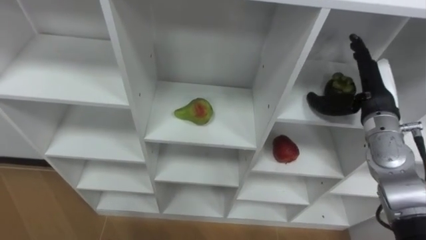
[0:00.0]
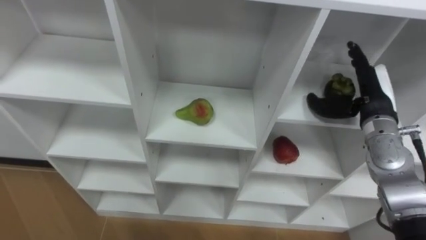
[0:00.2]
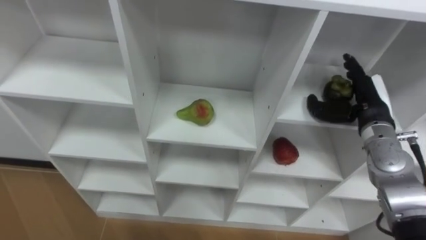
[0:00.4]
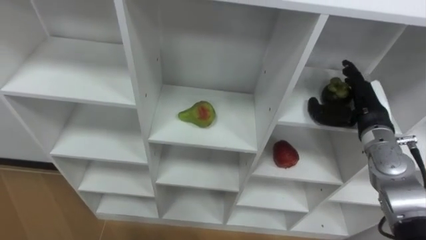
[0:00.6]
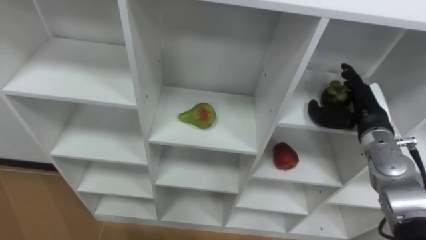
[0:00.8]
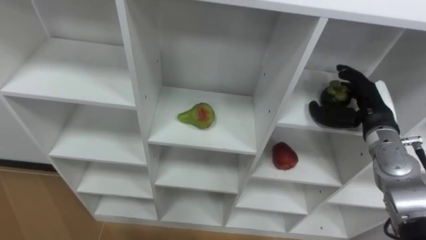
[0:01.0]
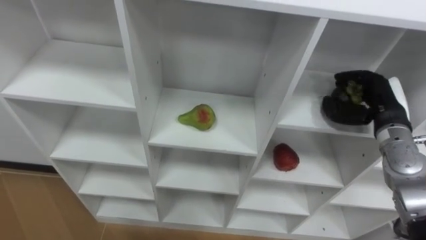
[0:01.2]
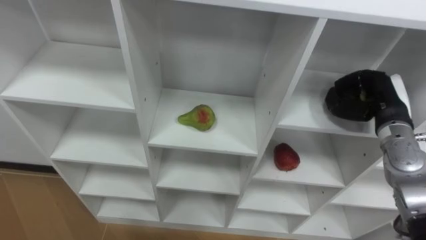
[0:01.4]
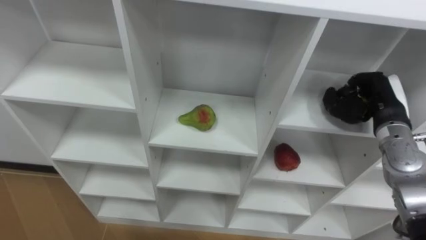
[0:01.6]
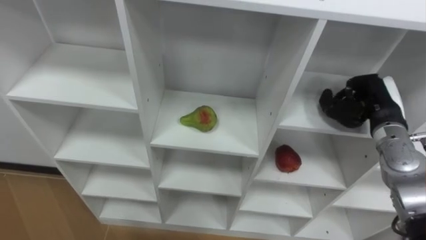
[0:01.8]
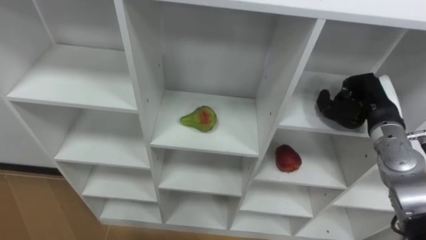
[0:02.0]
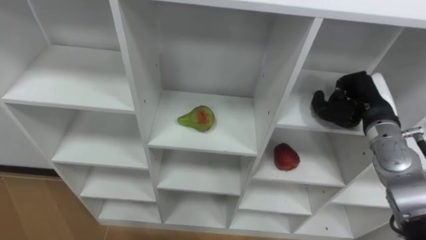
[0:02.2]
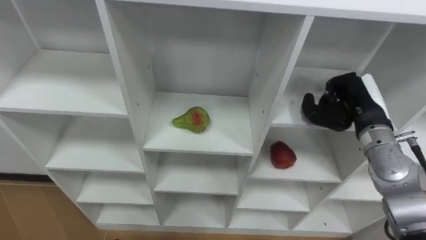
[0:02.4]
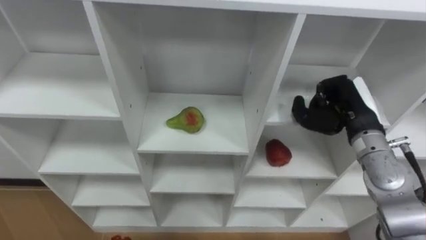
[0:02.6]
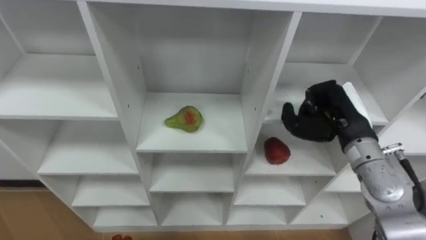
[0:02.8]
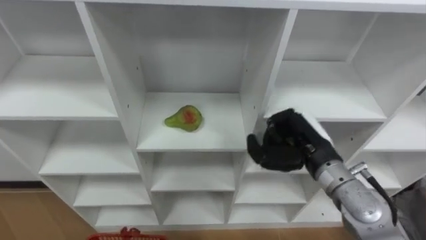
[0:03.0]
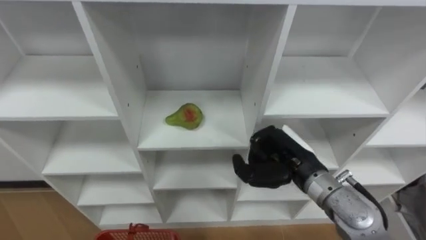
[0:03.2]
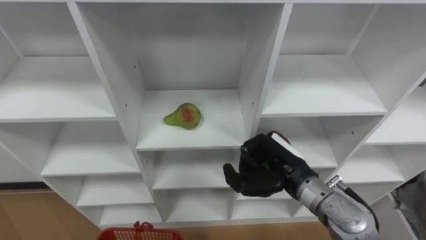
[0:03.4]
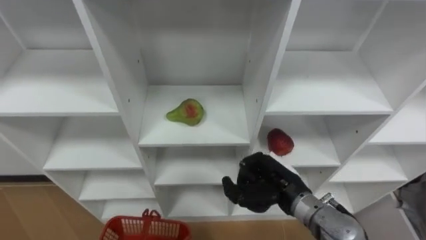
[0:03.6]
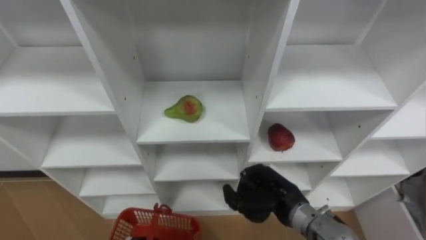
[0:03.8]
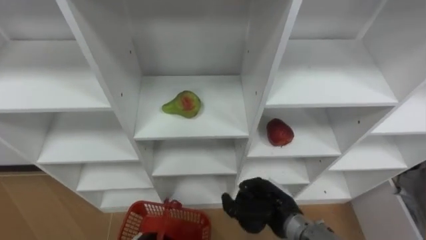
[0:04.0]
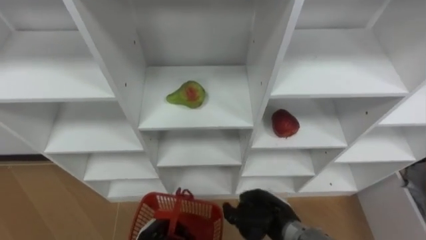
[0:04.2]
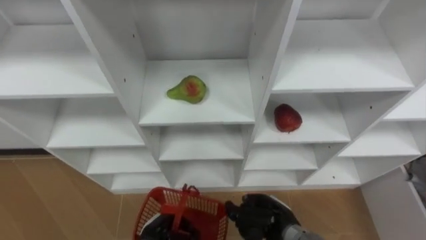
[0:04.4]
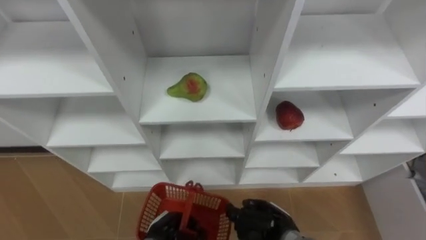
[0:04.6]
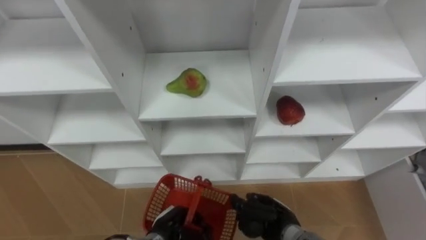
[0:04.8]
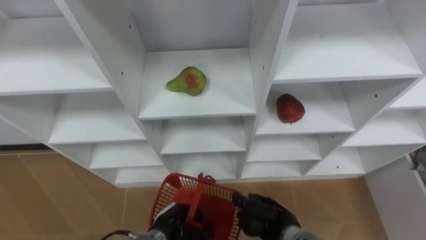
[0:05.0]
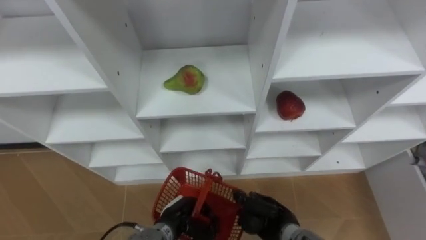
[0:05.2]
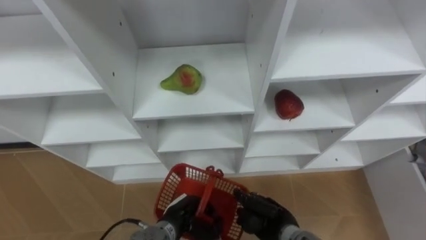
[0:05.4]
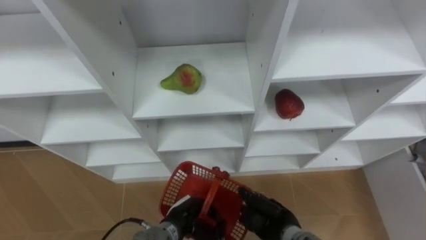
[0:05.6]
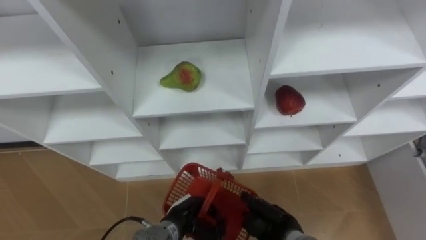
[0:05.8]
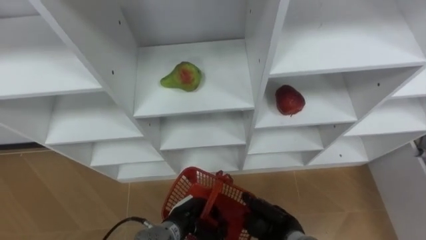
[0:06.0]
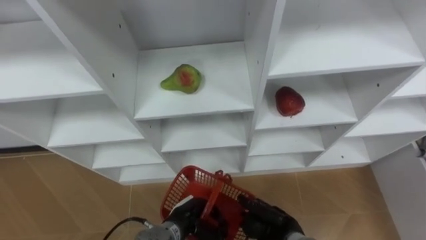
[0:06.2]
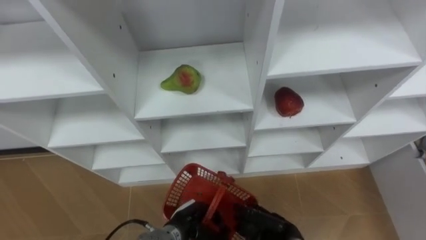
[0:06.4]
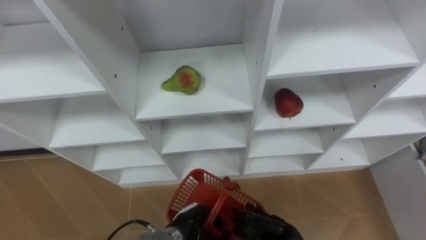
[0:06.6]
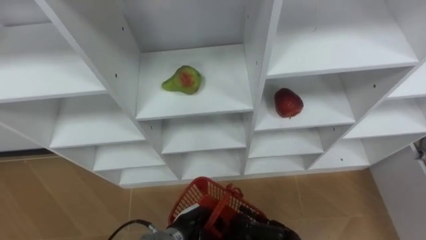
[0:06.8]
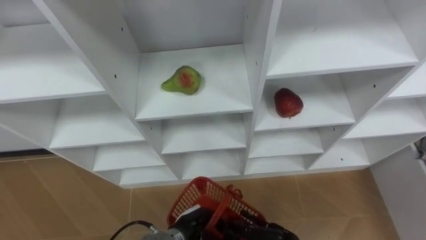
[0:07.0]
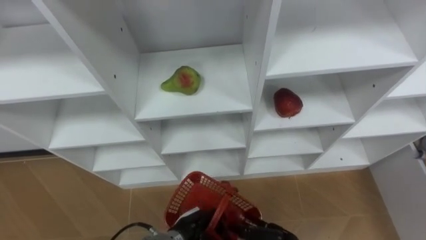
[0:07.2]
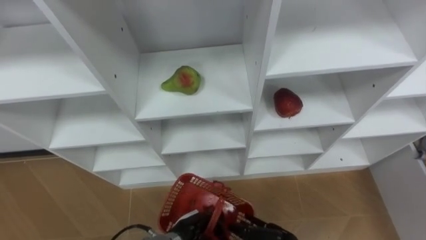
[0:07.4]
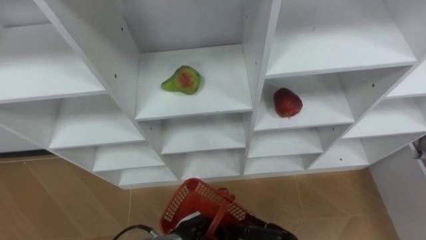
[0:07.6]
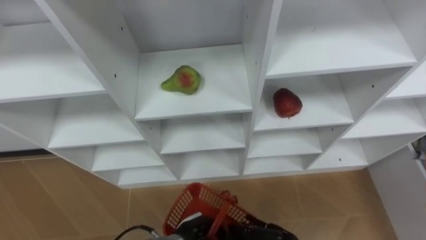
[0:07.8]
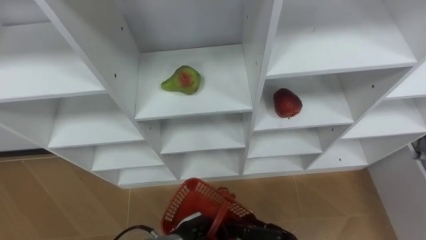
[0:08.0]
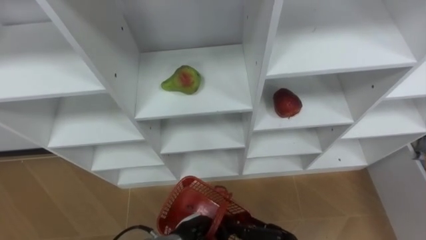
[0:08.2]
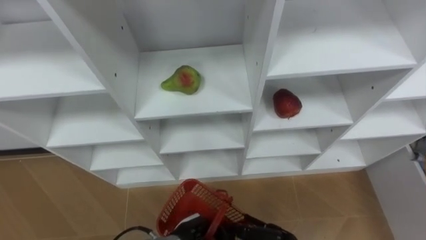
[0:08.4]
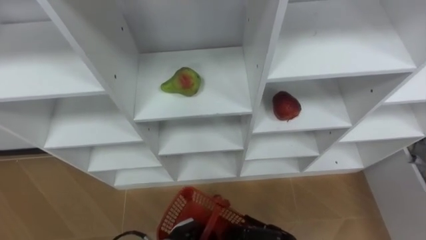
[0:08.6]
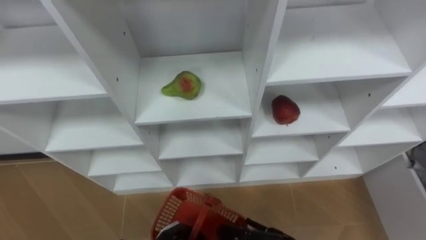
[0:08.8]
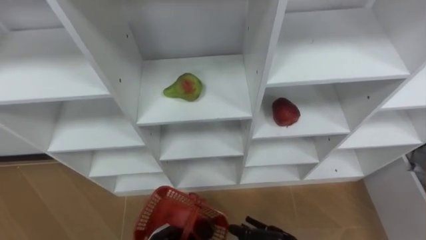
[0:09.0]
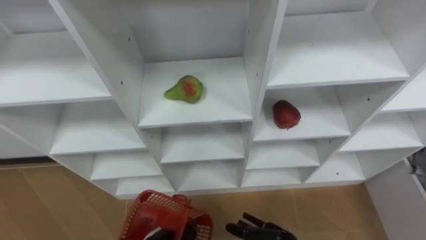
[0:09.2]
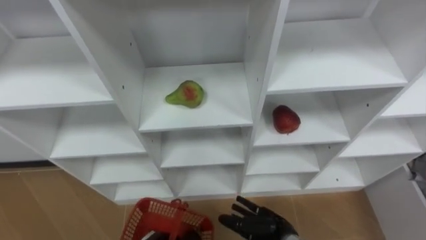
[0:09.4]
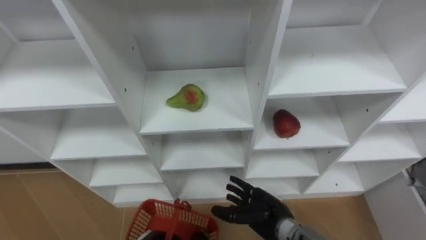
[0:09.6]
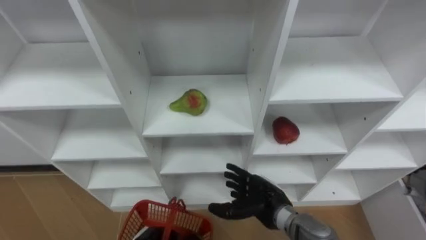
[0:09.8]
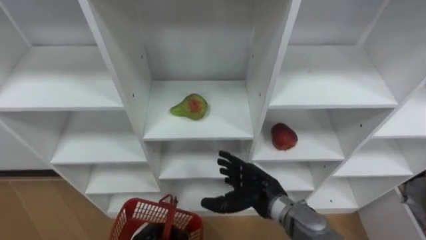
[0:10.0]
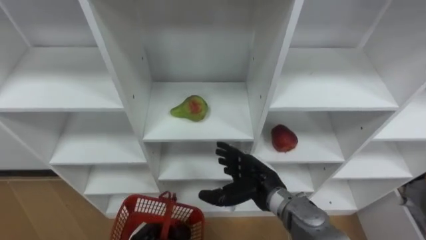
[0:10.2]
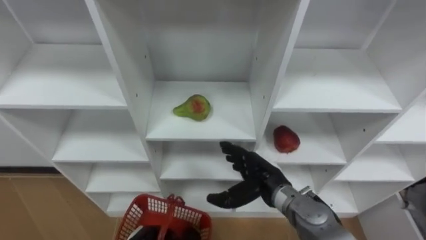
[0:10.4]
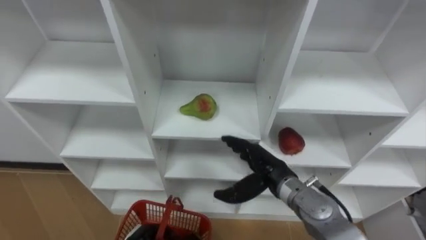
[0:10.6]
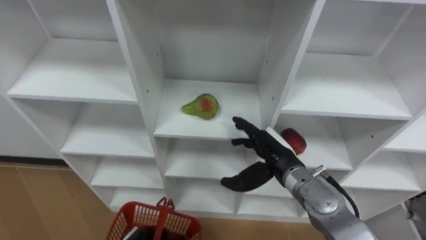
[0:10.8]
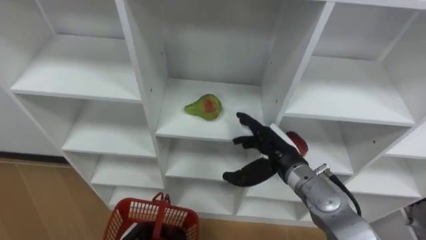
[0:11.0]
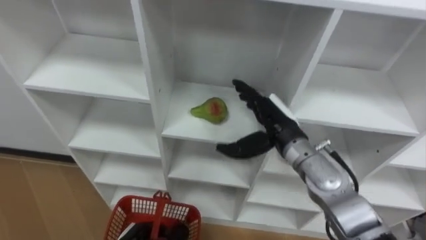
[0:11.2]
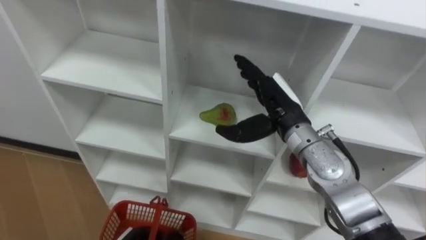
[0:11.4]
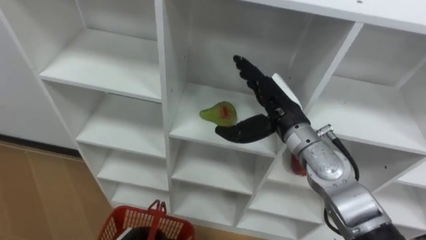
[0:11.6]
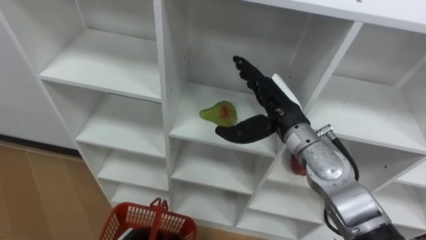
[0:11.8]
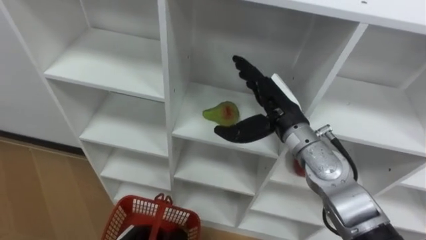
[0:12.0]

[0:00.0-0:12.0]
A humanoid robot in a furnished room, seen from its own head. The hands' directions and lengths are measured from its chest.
Task of the whole recording: Hold the basket and collect the fruits from 3 different cells of the closet into it.
0:00.0 to 0:01.6: The right hand closes up.
0:01.6 to 0:03.0: The right hand moves to the left and backward, approximately 15 cm.
0:03.0 to 0:04.4: The right hand travels downward and backward by roughly 20 cm.
0:04.4 to 0:06.0: The left hand goes roughly 5 cm to the right.
0:10.4 to 0:12.0: The right hand is displaced upward and forward by about 15 cm.

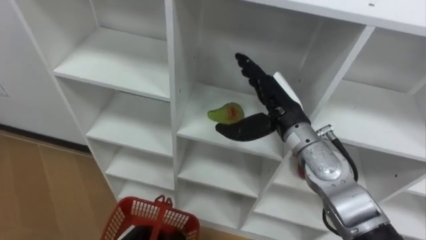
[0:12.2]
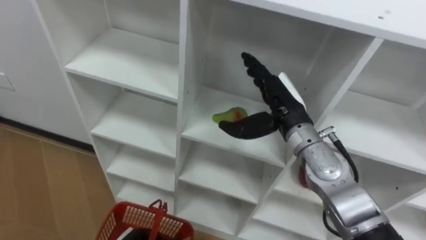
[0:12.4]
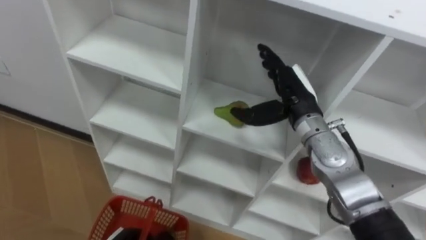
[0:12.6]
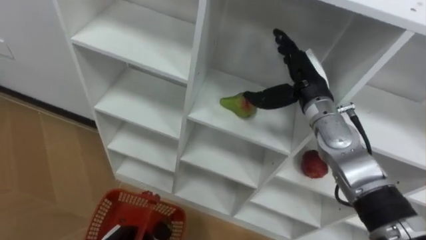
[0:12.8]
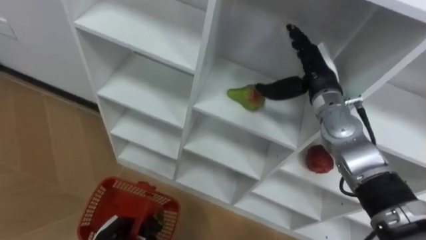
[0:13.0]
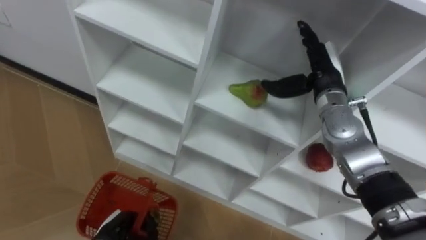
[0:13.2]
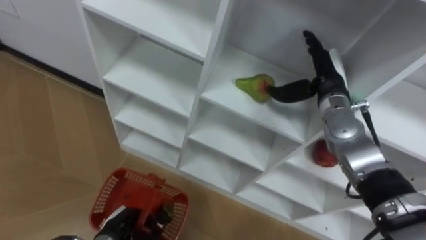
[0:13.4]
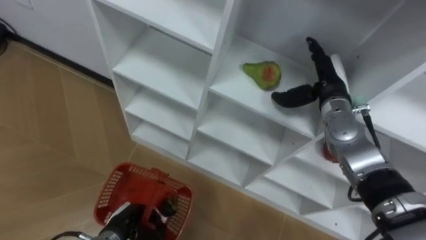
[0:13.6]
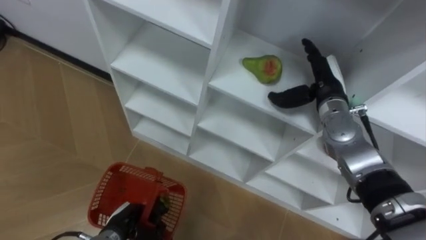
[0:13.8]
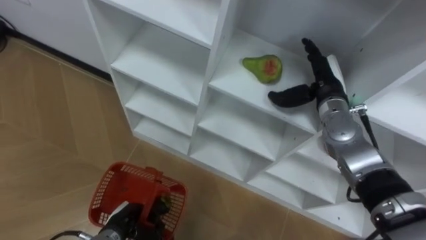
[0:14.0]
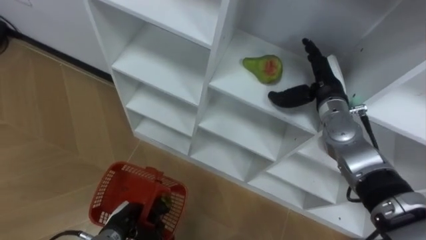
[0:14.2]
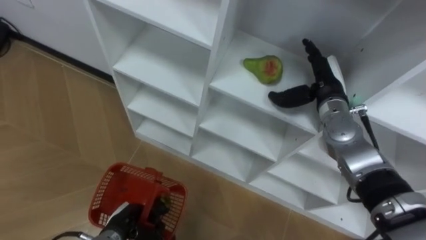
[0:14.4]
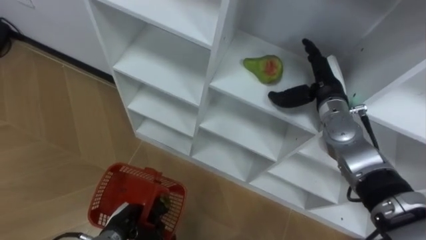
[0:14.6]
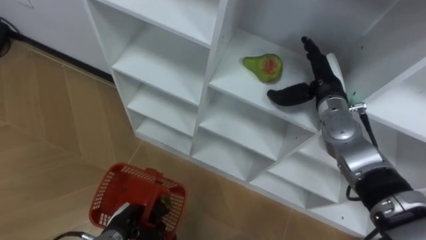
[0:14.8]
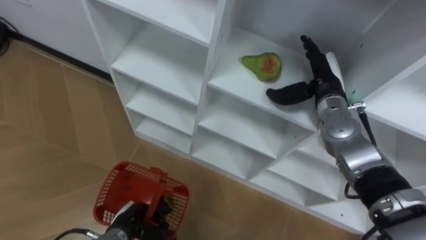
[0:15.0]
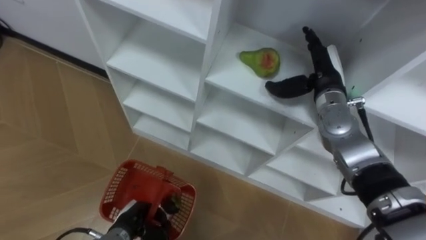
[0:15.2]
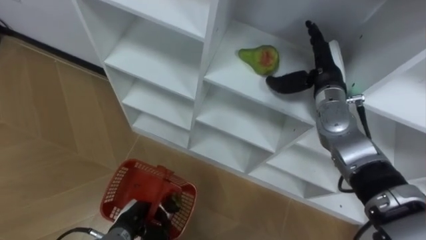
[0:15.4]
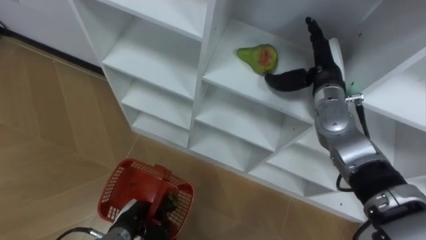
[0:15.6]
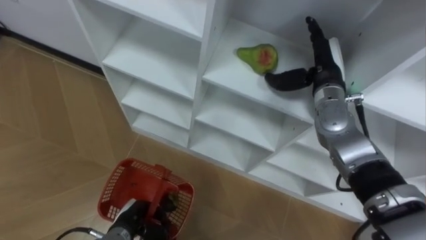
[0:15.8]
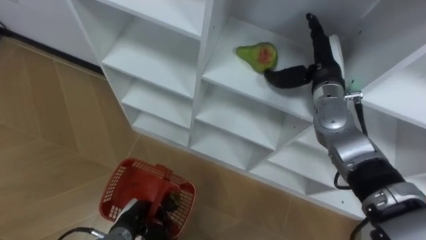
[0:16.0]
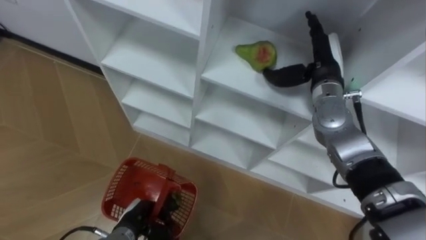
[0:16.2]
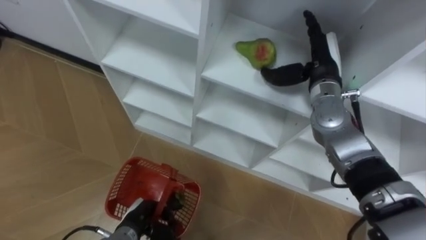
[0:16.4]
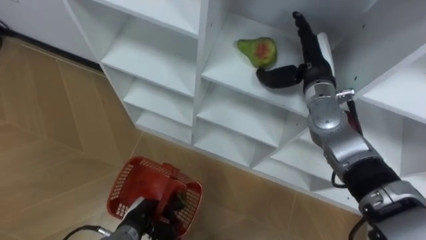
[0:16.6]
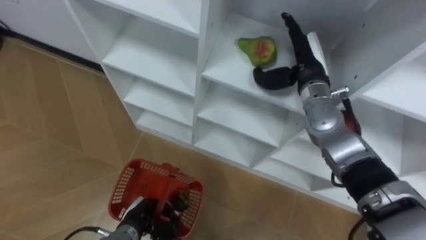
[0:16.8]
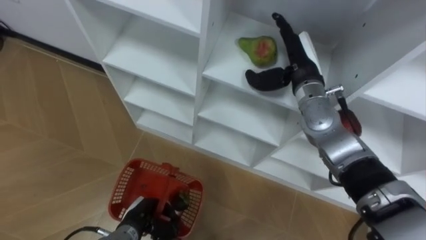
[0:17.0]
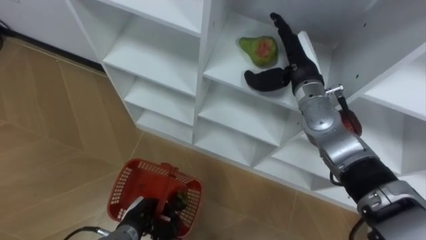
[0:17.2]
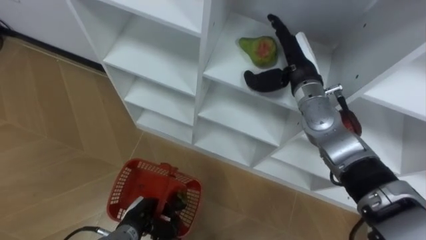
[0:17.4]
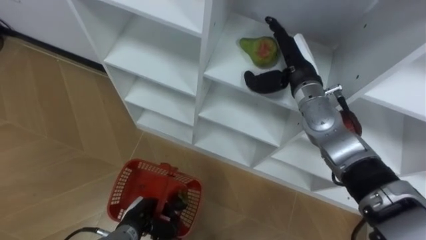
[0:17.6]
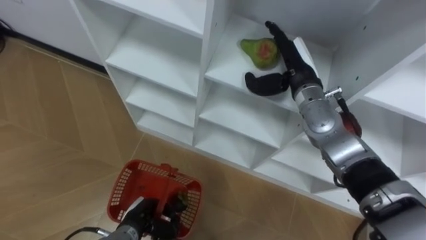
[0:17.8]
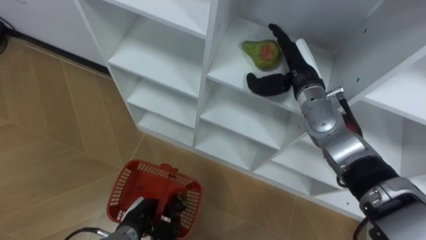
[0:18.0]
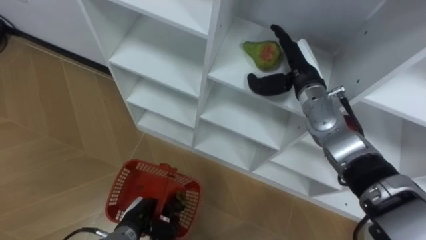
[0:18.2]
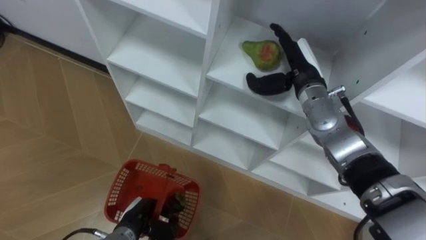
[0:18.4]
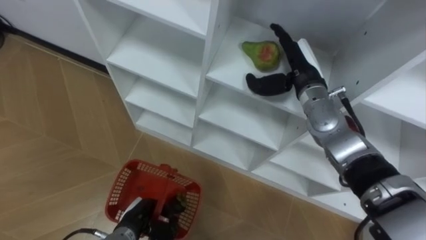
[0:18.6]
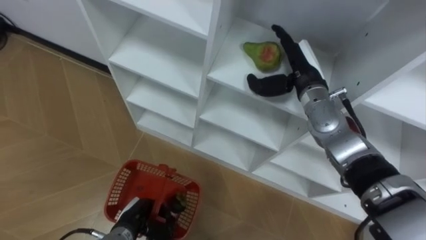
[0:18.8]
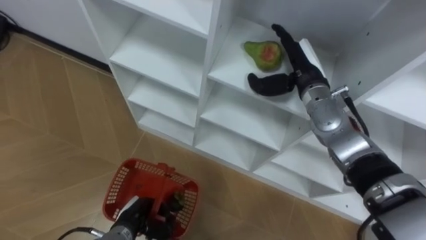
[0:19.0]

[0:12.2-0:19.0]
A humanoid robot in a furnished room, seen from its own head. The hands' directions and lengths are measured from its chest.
Task of the whole recording: Hold the basket and collect the fruits from 3 different cells of the closet into it.
0:12.2 to 0:13.6: The right hand is displaced to the right and forward by about 10 cm.
